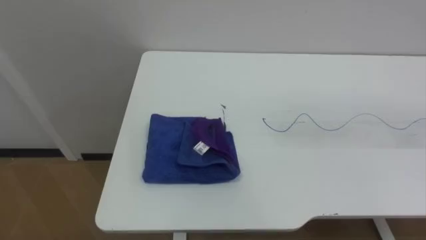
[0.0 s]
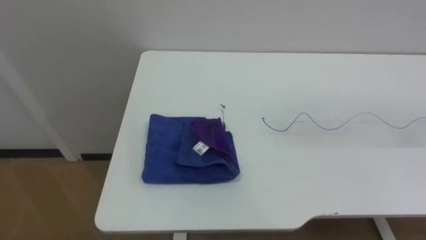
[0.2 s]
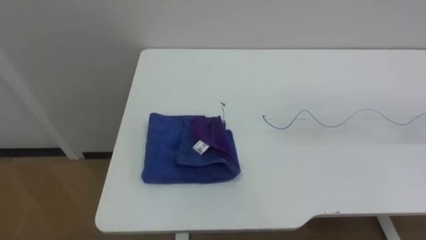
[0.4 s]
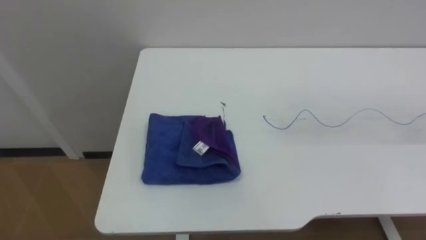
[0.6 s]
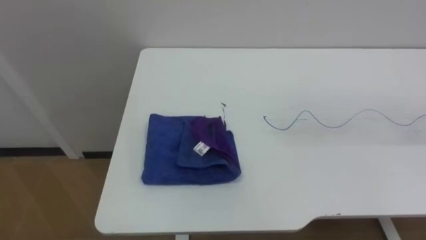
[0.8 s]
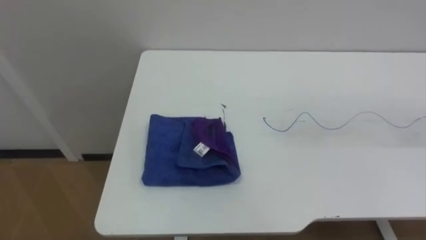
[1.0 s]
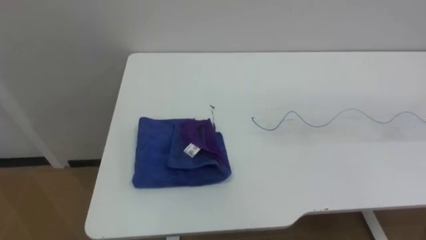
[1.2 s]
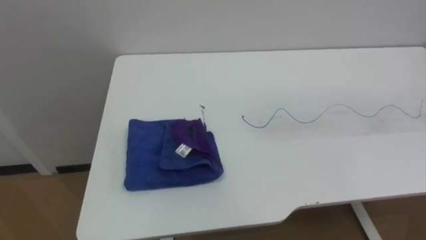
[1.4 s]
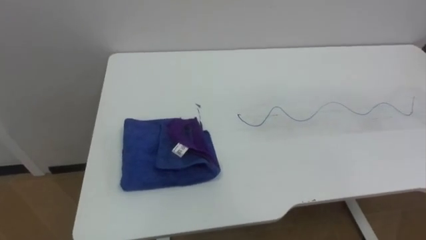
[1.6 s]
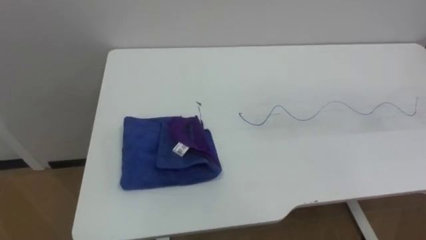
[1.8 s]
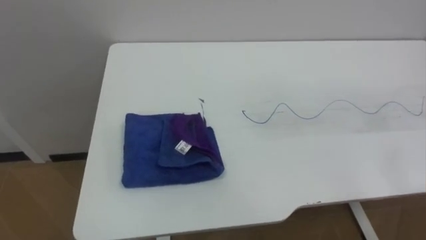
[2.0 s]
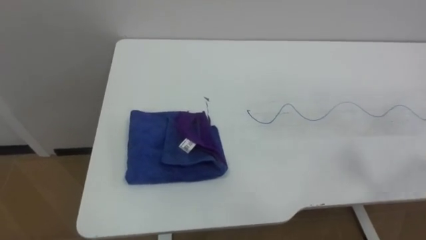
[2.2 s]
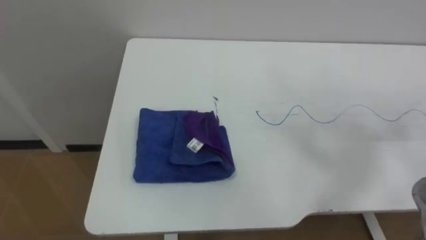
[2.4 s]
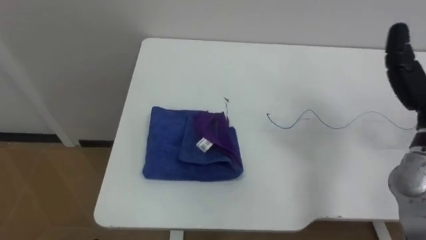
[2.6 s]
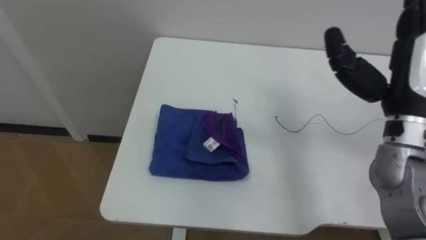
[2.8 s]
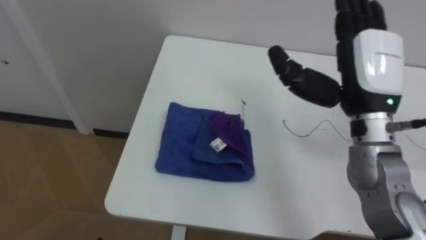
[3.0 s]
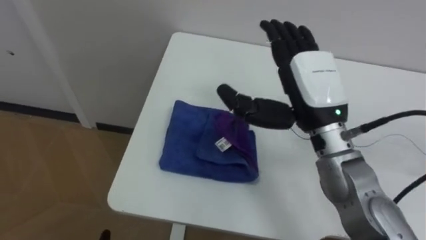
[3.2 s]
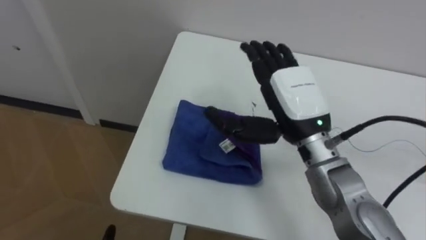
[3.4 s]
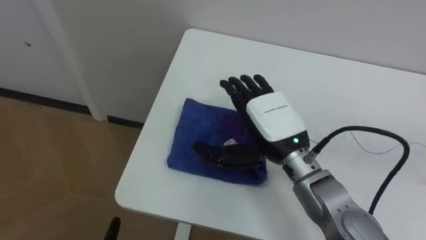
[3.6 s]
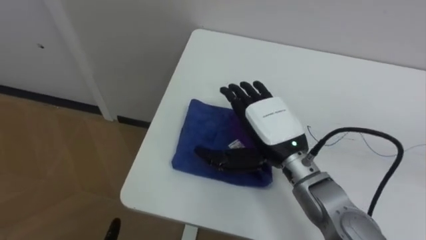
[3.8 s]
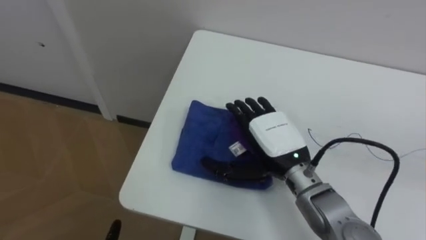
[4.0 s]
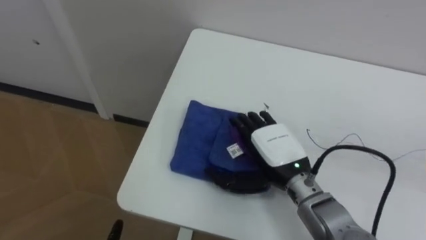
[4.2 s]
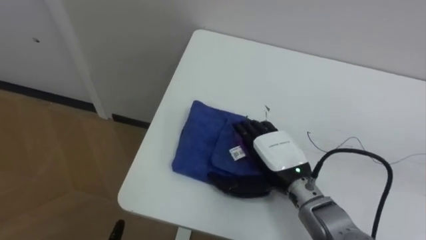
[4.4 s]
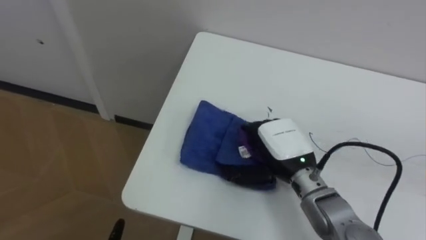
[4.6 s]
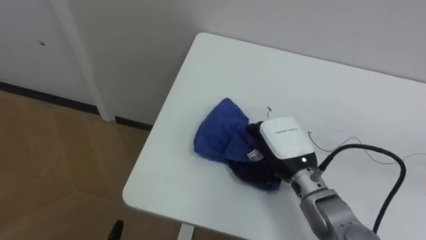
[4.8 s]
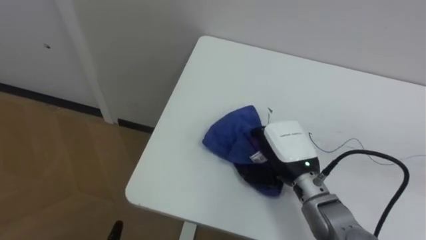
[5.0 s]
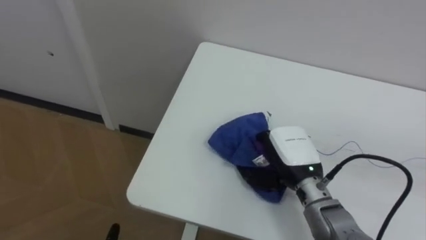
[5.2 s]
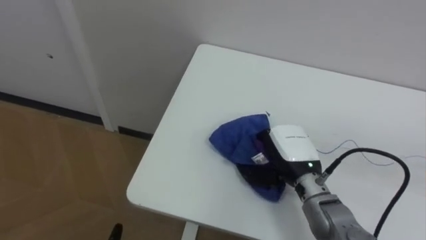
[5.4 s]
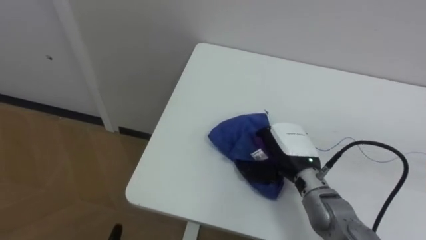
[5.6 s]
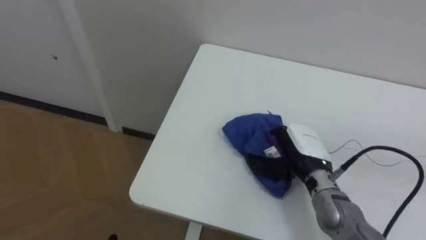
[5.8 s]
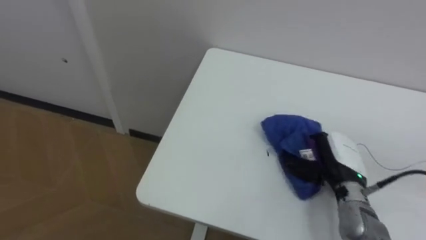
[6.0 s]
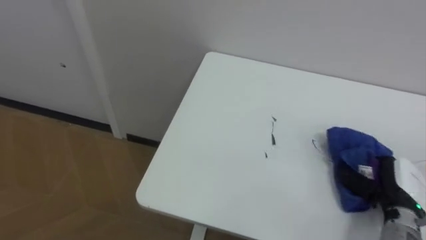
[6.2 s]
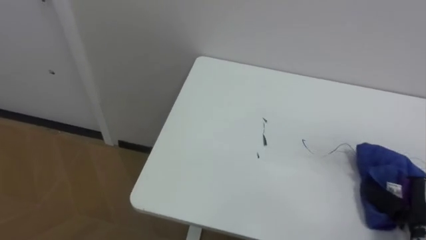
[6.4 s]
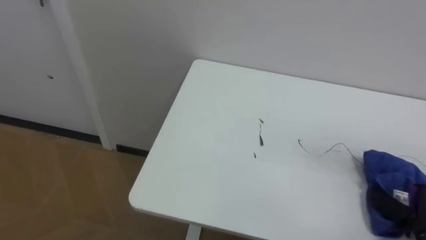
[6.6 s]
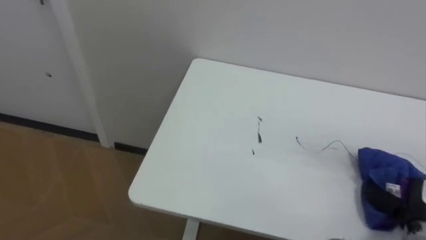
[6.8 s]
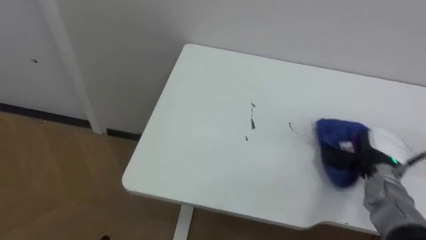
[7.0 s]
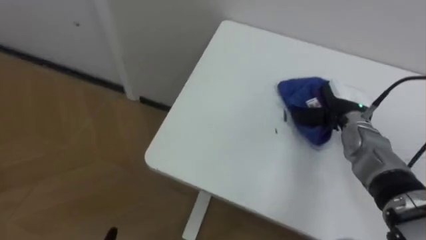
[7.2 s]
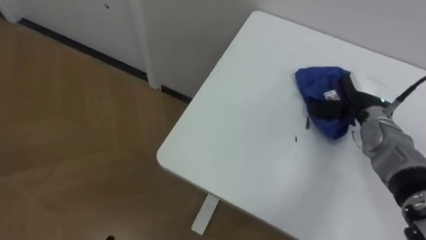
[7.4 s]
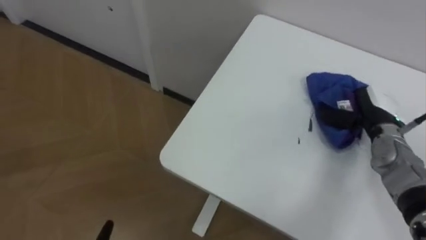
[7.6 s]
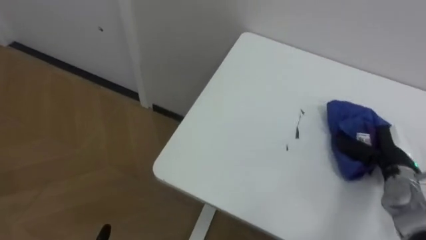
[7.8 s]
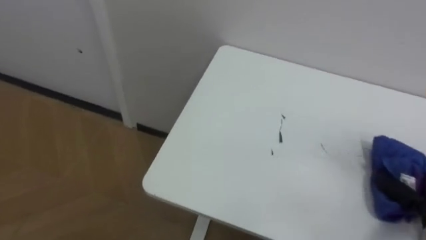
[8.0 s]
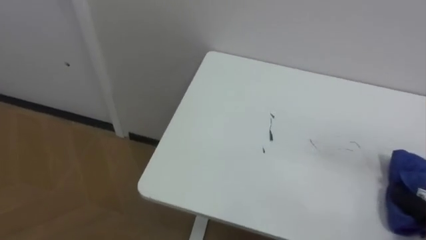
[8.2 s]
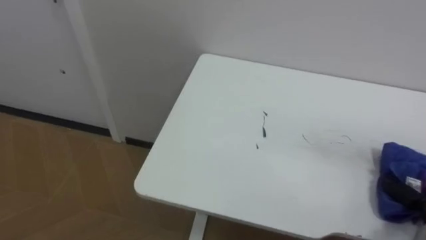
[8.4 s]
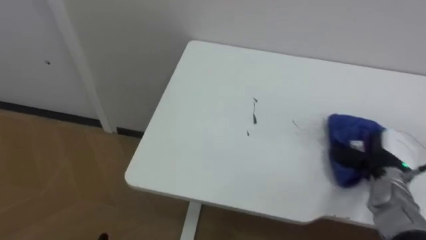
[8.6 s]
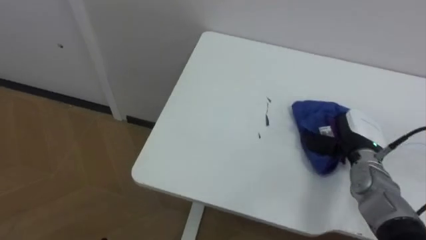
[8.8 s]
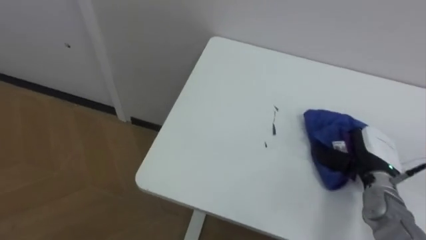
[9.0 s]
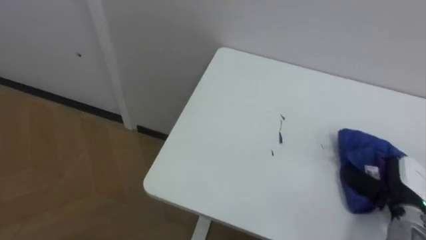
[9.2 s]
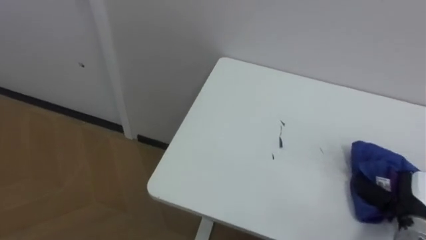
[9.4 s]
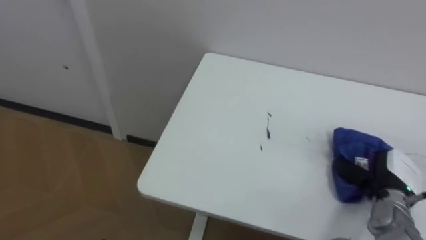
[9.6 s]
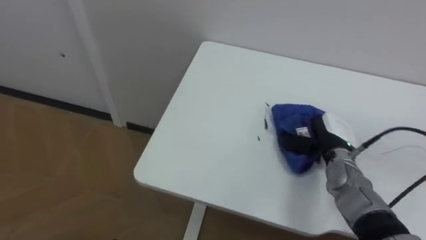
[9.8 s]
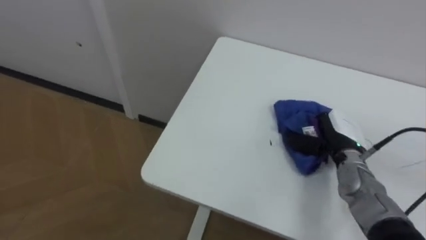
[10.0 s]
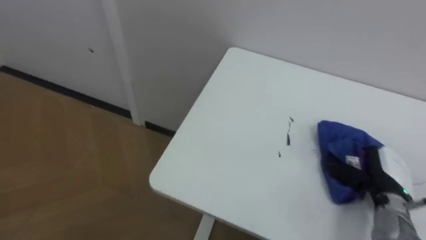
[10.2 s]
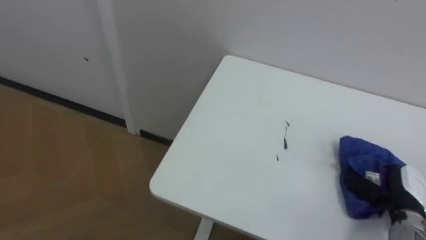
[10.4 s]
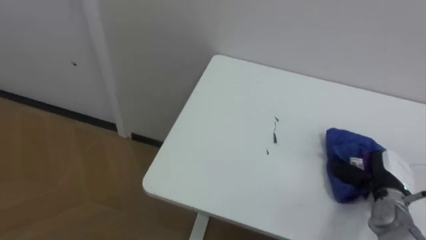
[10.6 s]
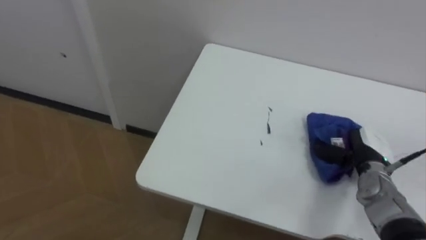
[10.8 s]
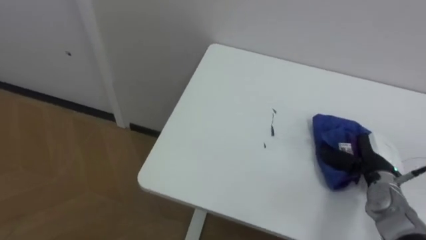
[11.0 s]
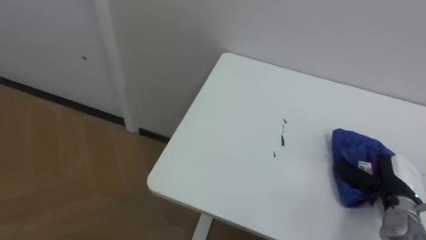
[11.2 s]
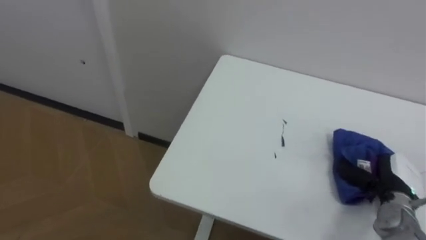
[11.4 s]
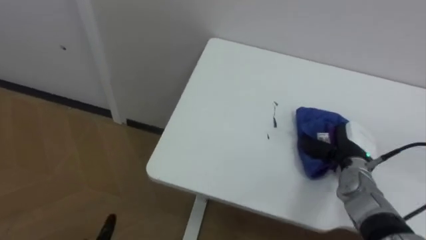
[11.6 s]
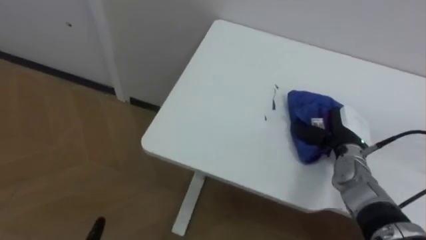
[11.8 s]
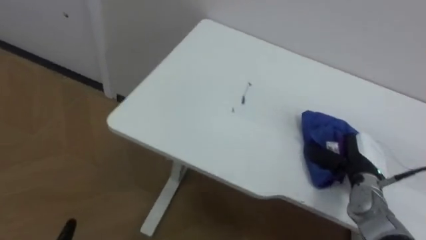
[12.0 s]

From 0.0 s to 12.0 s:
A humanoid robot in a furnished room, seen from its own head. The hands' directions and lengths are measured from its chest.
Task of the whole recording: Wipe the blue pen marks off the table with the rag.
From 3.0 s to 4.4 s: The right hand goes some 20 cm downward and to the left.
From 4.4 s to 6.0 s: The right hand goes about 10 cm to the right, and closes its fingers.
From 6.0 s to 7.6 s: The right hand shifts about 15 cm forward, to the right and upward.
From 9.0 s to 10.4 s: The right hand swings forward and backward, roughly 15 cm each way, with 2 reversals.
From 10.4 s to 12.0 s: The right hand swings forward and backward, some 15 cm each way, with 3 reversals.

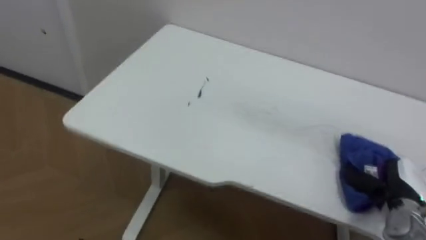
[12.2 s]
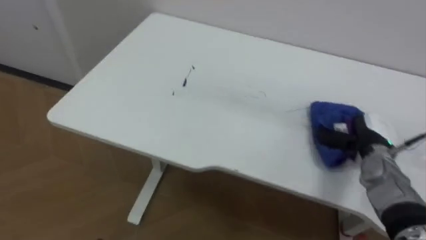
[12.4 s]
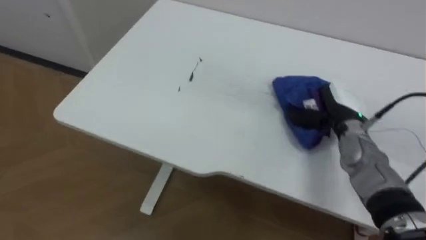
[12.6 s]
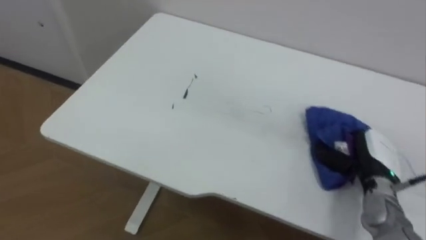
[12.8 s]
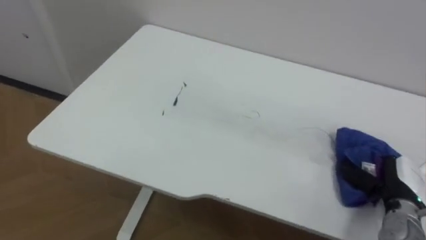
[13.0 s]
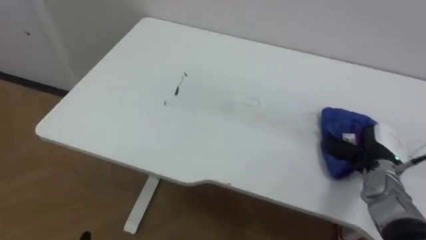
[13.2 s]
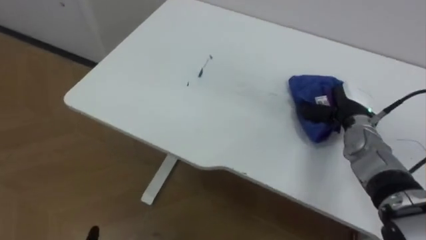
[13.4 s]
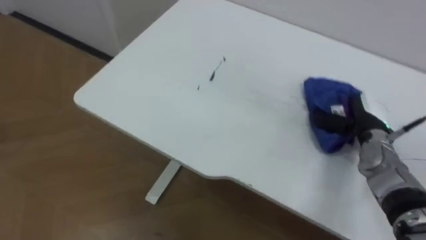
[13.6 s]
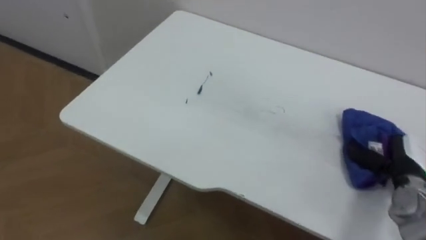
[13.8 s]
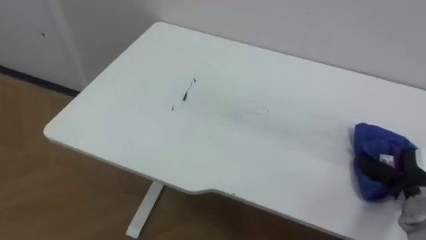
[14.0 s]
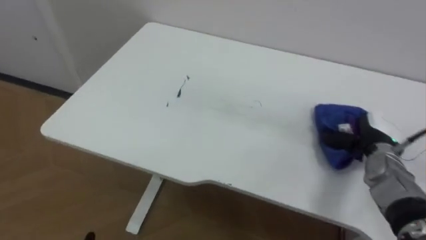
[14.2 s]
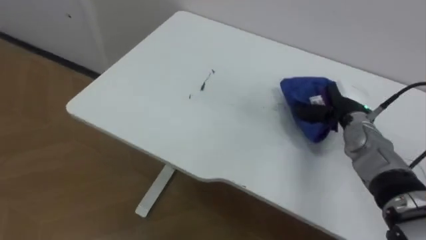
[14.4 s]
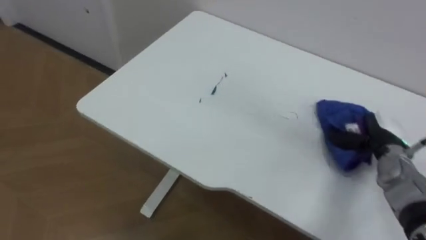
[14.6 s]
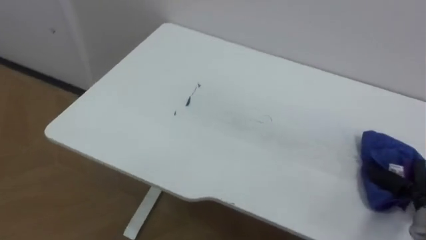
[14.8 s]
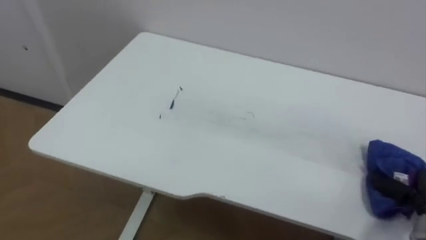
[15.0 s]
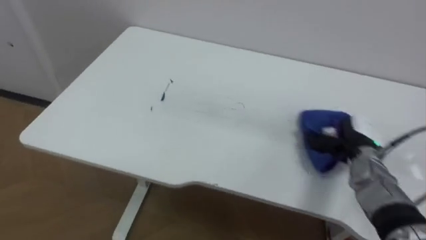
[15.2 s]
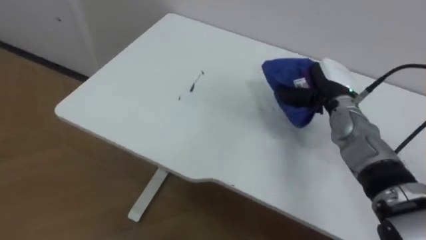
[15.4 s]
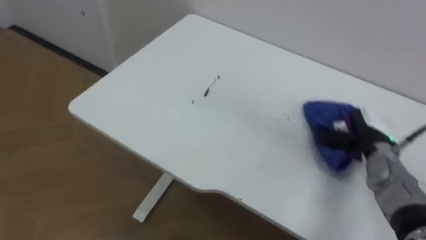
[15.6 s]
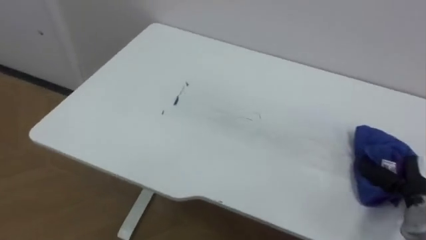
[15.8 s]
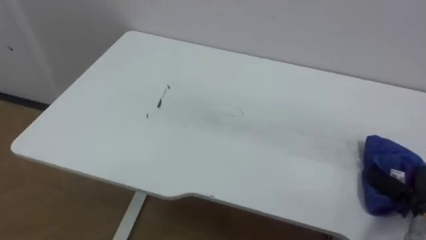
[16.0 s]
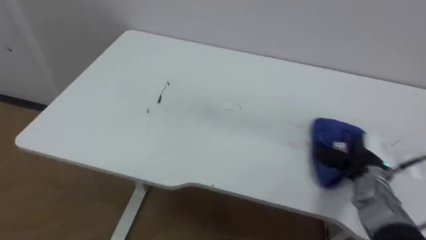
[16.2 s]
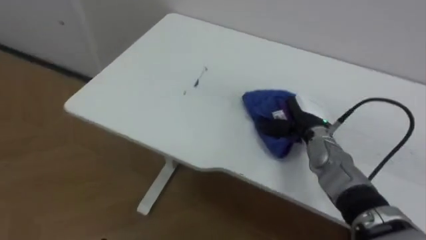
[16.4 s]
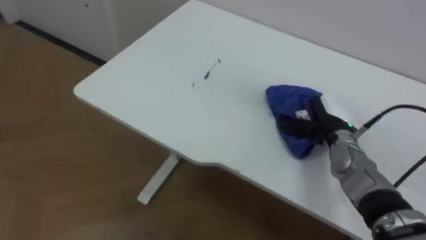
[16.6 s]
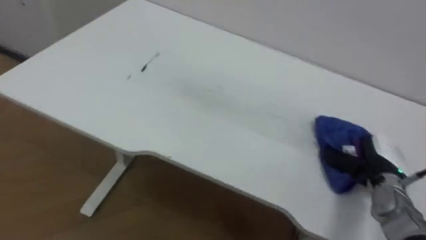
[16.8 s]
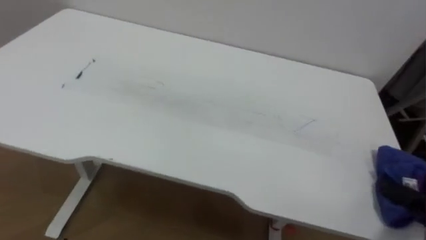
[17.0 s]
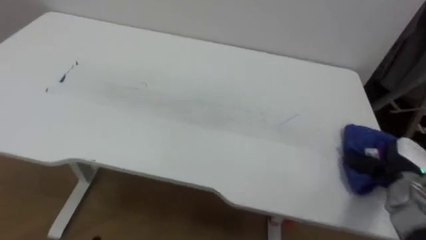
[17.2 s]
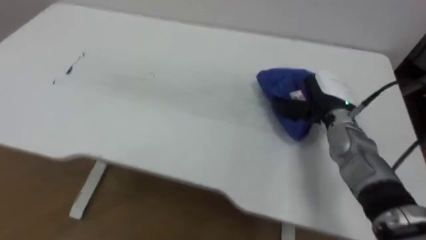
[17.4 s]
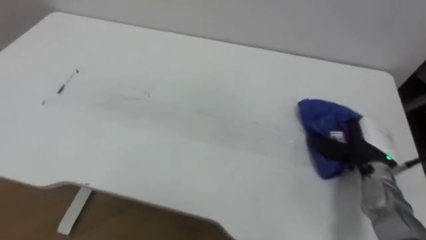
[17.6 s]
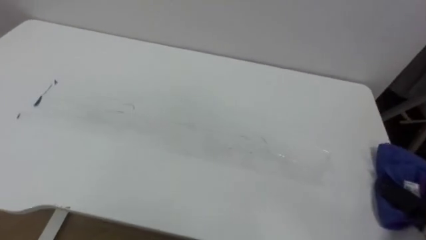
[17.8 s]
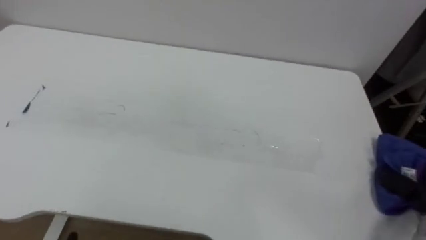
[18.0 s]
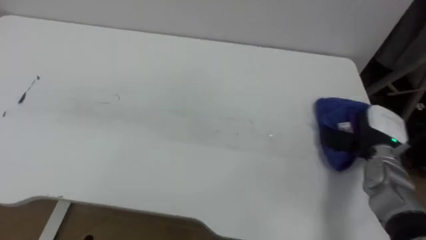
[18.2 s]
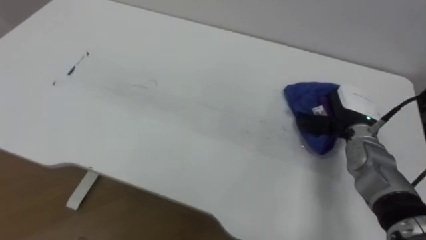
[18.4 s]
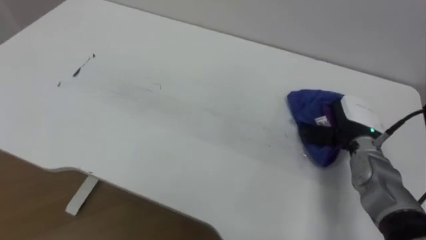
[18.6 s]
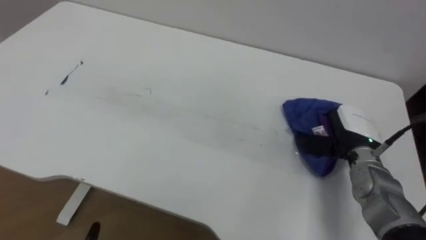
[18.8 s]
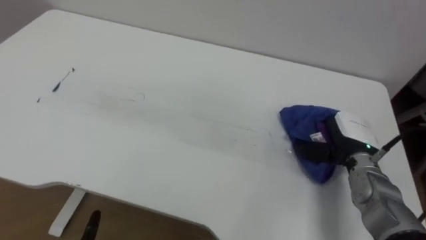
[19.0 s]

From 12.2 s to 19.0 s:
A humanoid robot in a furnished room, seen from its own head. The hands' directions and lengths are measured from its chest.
Task of the whole recording: Wipe the blue pen marks off the table with the rag.
From 12.2 s to 13.6 s: The right hand goes forward and backward, roughly 15 cm each way, reversing 2 times.
From 15.0 s to 16.2 s: The right hand swings forward and backward, approximately 20 cm each way, with 2 reversals.
